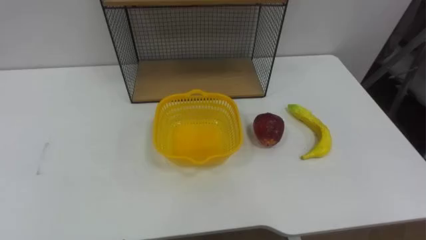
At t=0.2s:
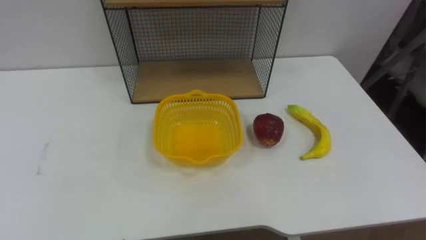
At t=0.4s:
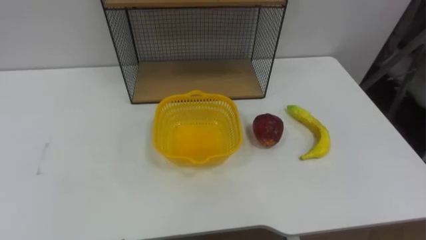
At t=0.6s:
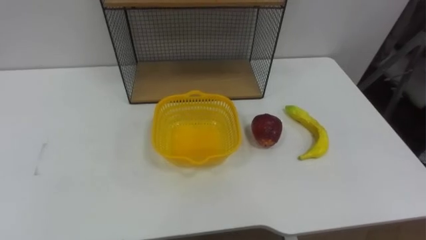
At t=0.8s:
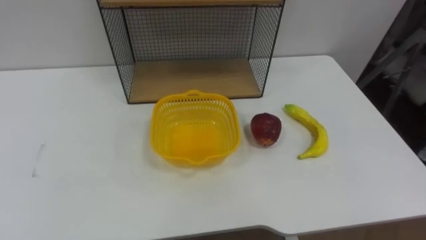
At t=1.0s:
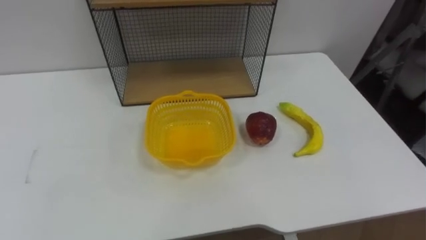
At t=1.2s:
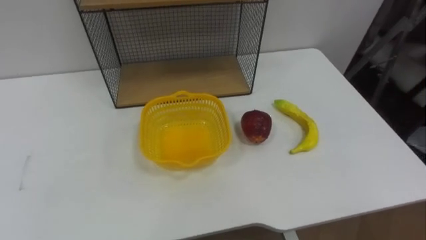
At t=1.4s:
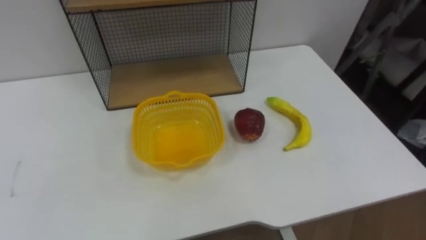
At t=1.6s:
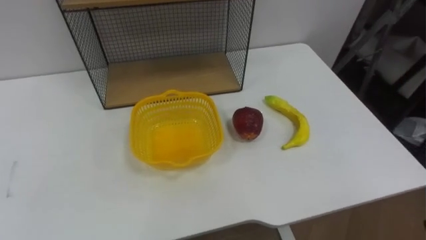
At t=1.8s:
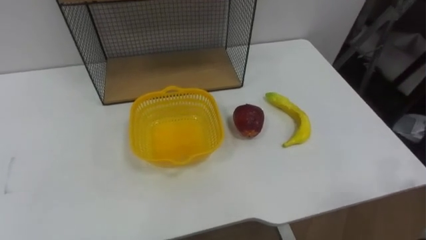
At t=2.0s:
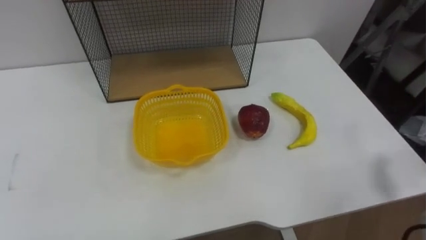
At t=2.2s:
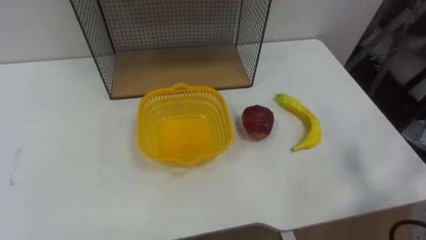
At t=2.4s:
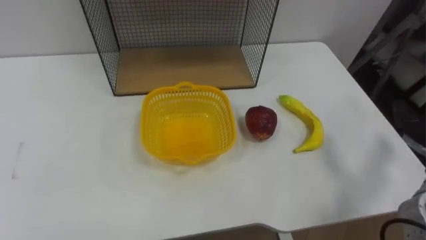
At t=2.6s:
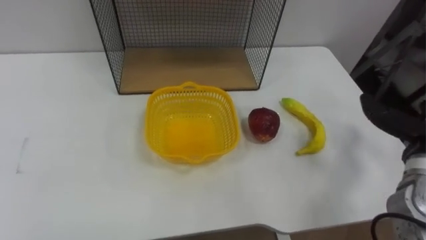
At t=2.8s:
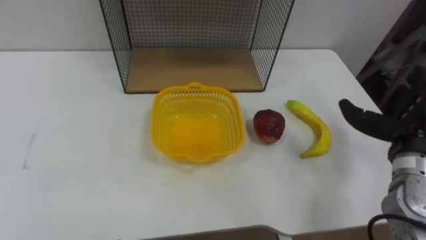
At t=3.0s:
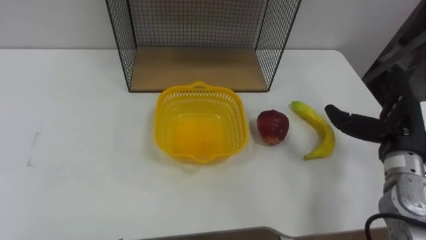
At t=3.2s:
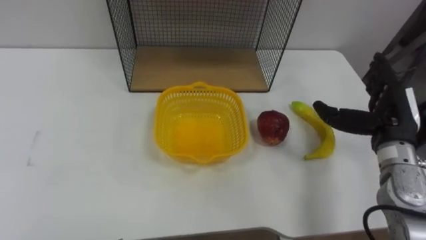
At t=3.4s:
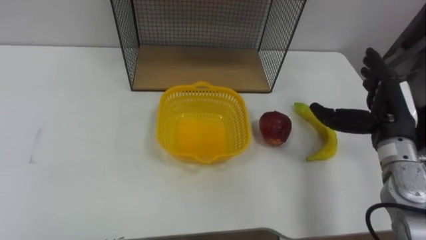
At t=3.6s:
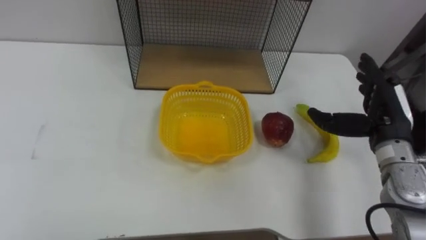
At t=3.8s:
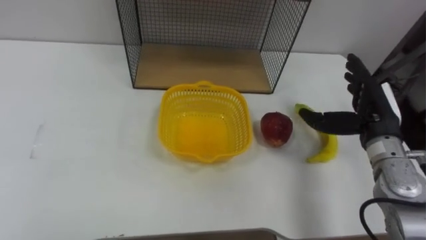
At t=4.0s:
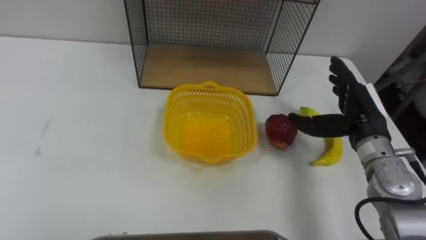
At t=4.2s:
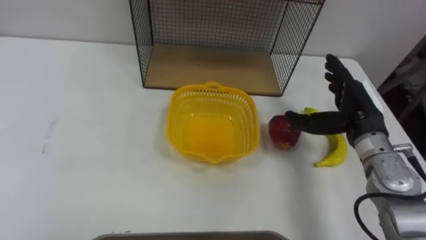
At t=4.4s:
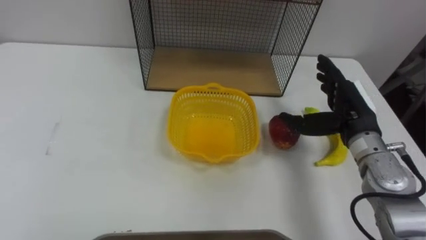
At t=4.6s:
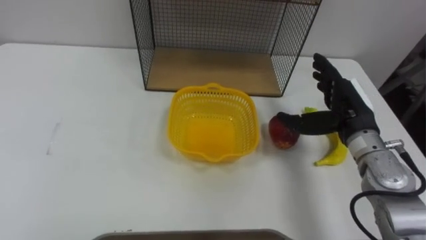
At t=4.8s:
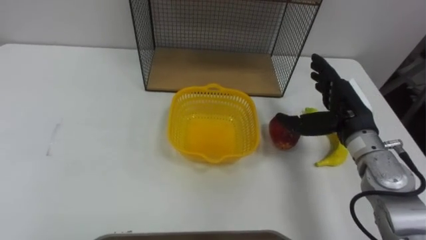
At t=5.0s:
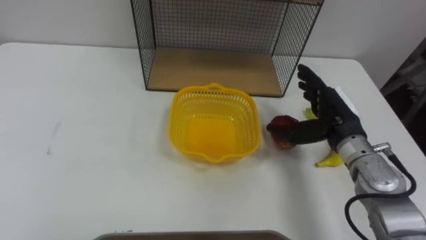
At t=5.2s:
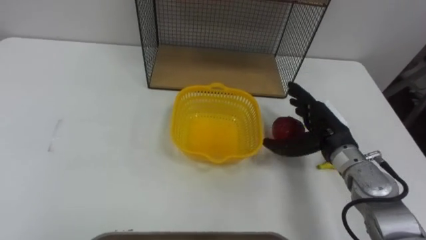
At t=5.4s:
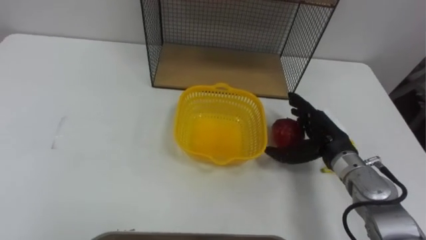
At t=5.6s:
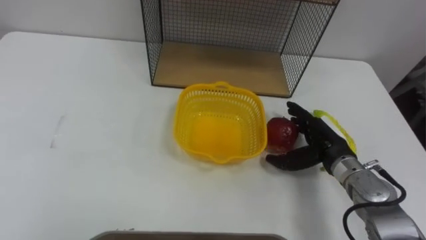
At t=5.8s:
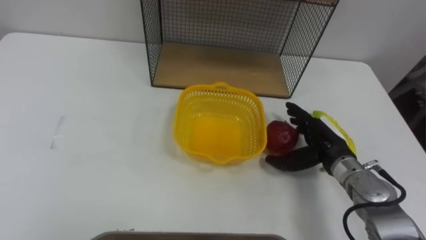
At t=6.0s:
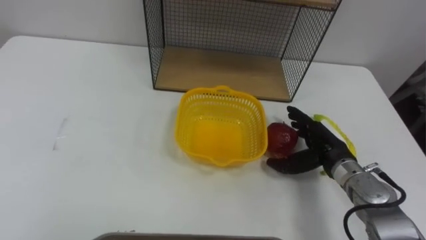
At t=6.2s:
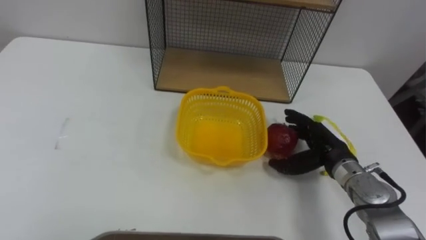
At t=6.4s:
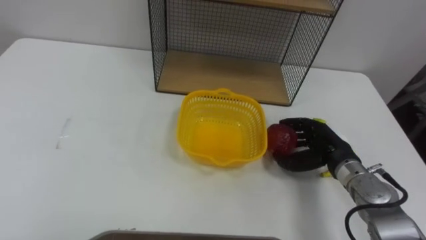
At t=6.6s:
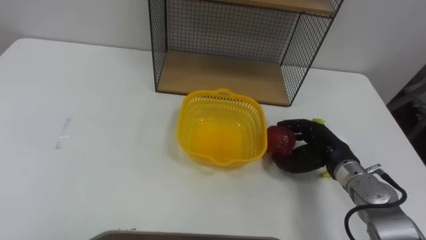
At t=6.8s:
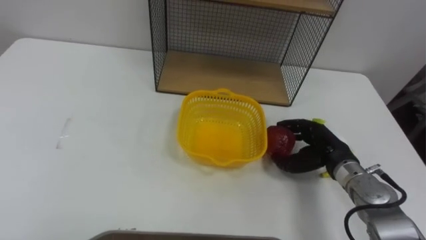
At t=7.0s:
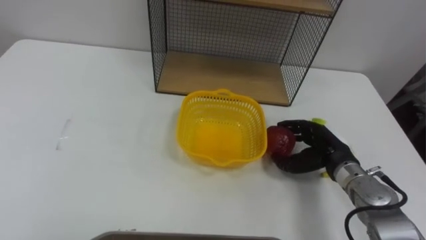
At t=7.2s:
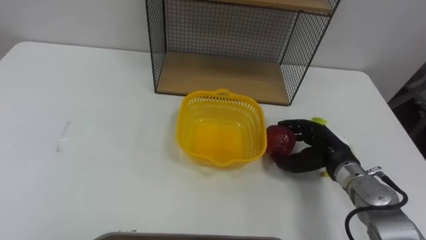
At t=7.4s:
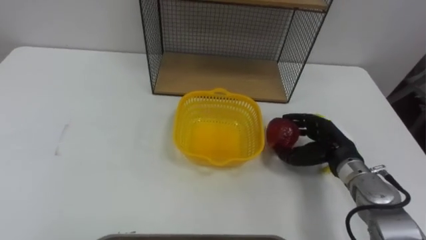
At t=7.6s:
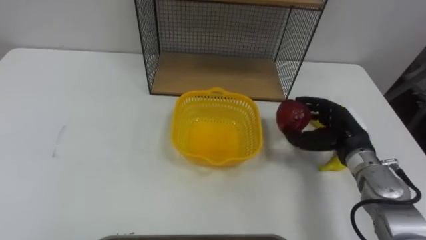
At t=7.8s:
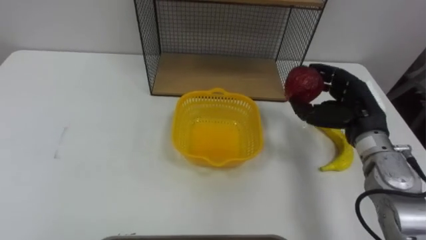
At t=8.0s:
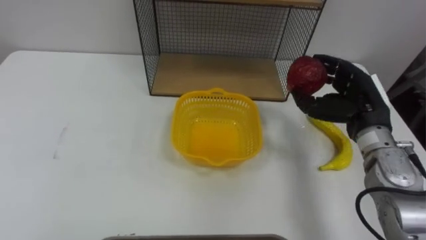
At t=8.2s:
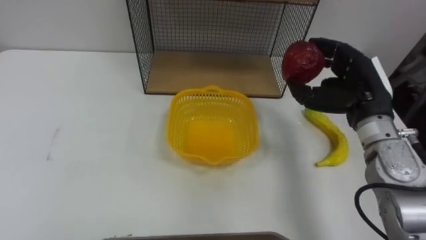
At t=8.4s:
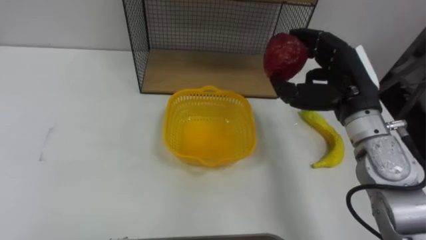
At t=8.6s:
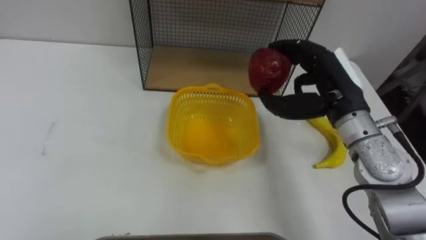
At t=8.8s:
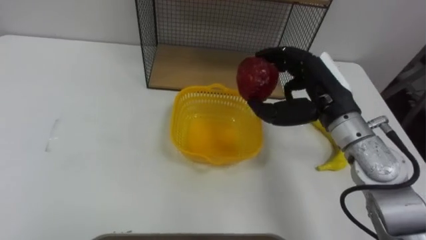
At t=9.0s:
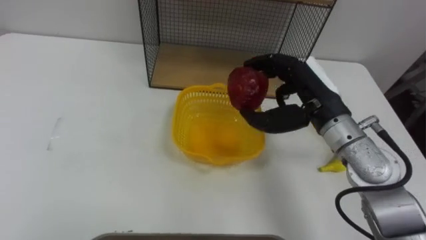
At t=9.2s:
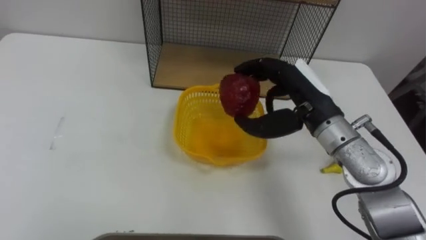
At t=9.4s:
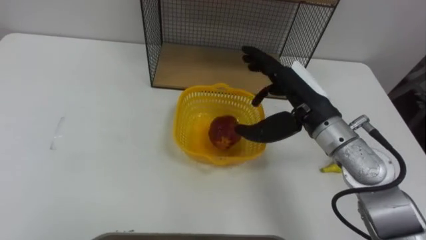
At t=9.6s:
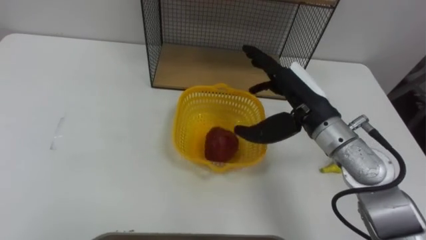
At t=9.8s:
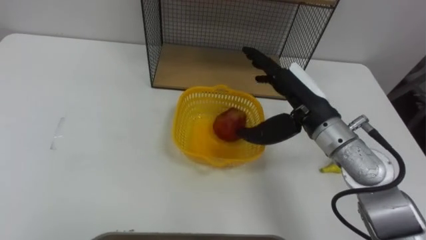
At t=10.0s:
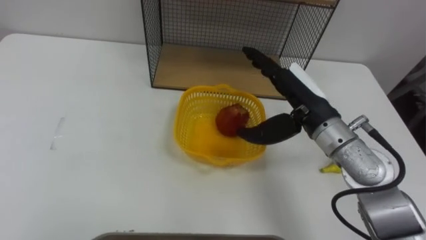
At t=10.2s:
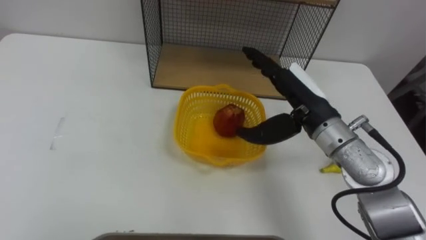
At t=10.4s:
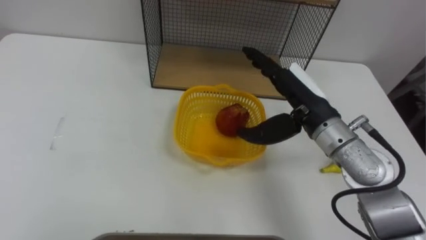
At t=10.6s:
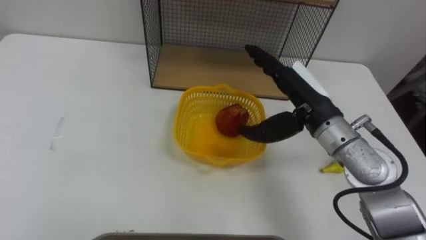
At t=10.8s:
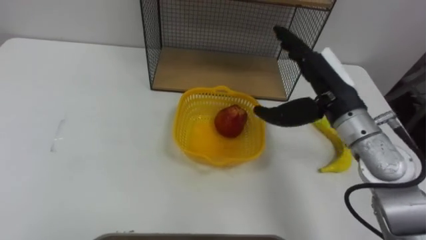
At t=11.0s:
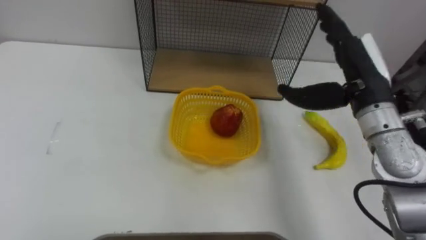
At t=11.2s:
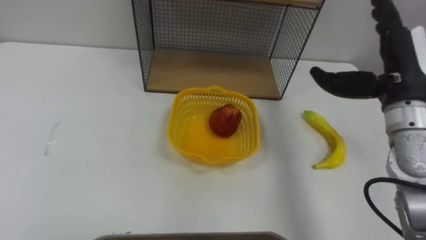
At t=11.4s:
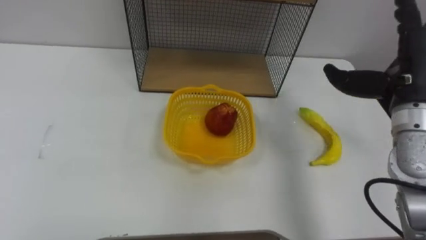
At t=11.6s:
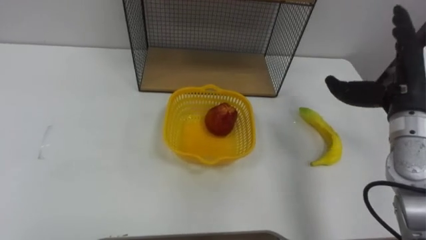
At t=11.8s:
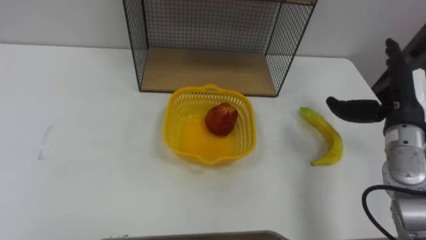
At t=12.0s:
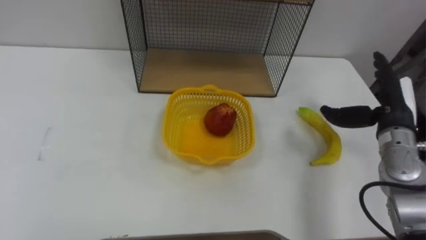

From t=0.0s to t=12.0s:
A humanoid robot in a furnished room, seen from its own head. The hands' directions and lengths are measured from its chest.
Task of the whole recording: Put the fruit on the table into the basket, then place the basket on the shelf.
From t=3.0s to t=4.4s: The right hand heads to the left, covering roughly 5 cm.
From t=4.4s to t=6.0s: The right hand is displaced downward by approximately 10 cm.
From t=6.0s to t=7.6s: The right hand closes up.
From t=7.6s to t=9.0s: The right hand goes approximately 15 cm upward and to the left.
From t=9.0s to t=10.4s: The right hand opens up.
From t=10.4s to t=12.0s: The right hand shifts some 15 cm to the right.

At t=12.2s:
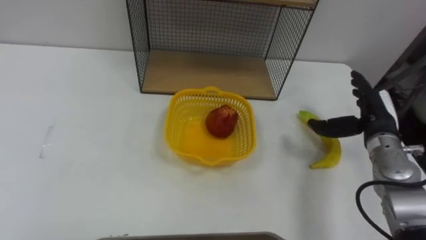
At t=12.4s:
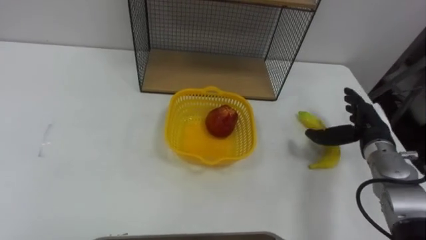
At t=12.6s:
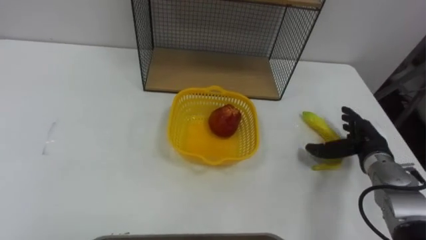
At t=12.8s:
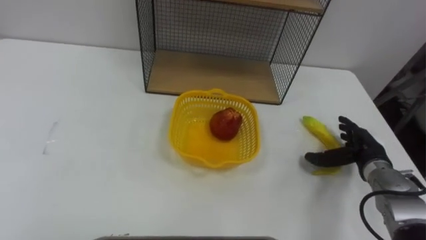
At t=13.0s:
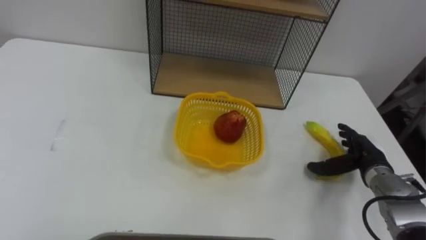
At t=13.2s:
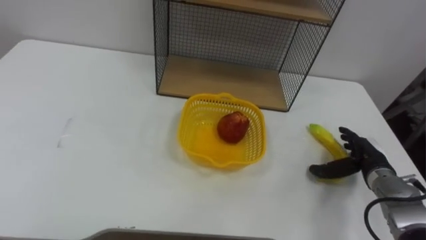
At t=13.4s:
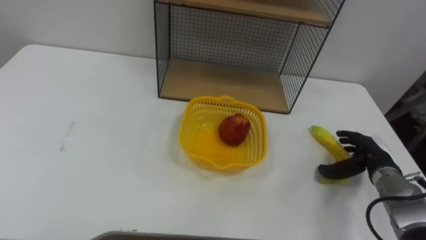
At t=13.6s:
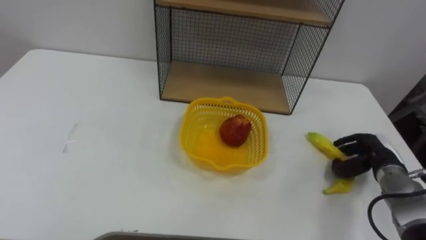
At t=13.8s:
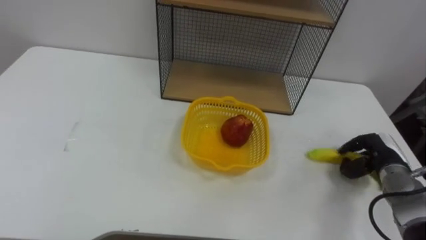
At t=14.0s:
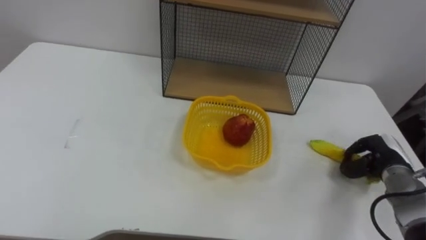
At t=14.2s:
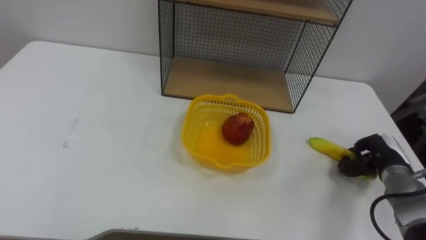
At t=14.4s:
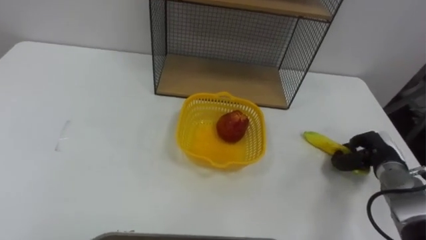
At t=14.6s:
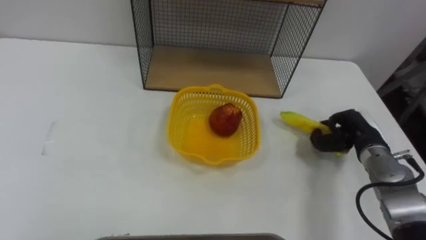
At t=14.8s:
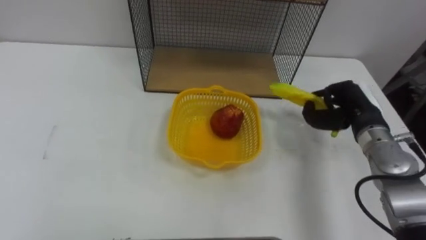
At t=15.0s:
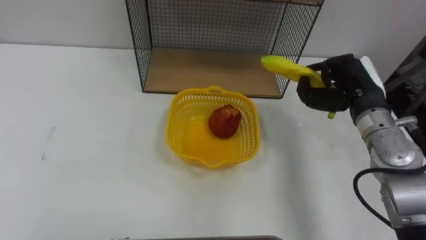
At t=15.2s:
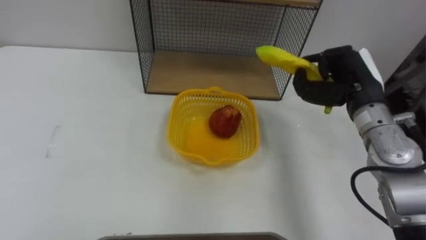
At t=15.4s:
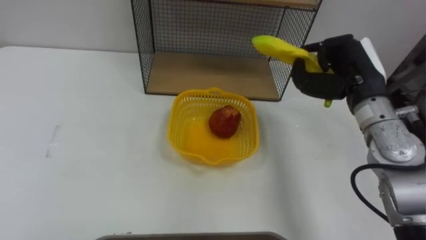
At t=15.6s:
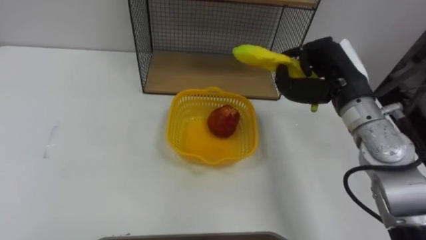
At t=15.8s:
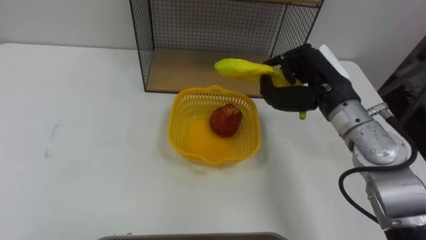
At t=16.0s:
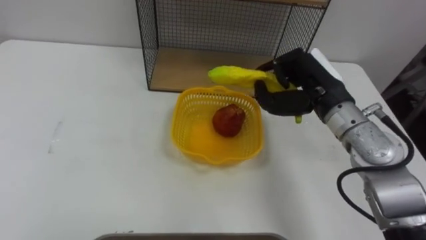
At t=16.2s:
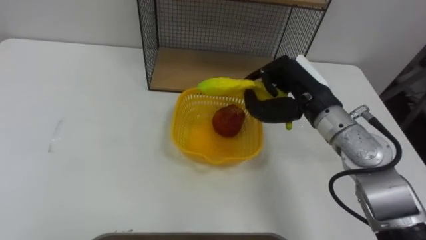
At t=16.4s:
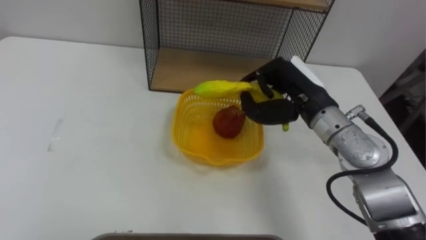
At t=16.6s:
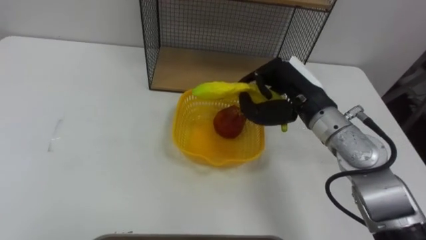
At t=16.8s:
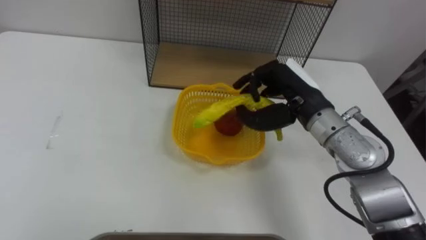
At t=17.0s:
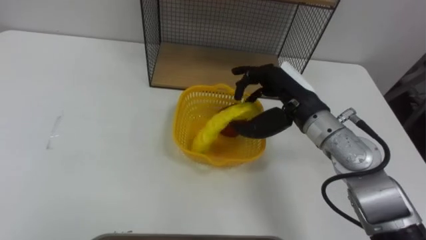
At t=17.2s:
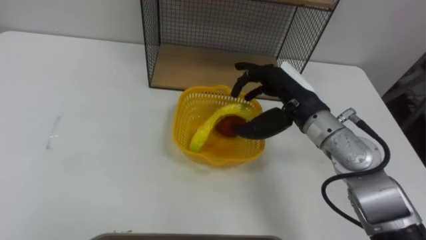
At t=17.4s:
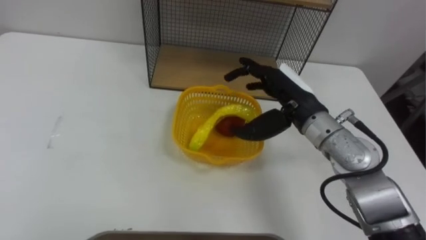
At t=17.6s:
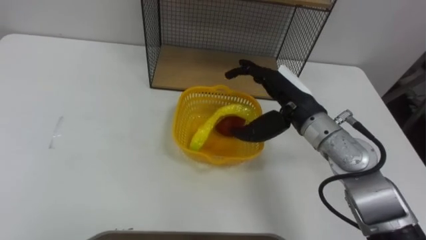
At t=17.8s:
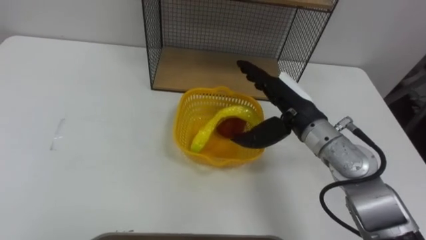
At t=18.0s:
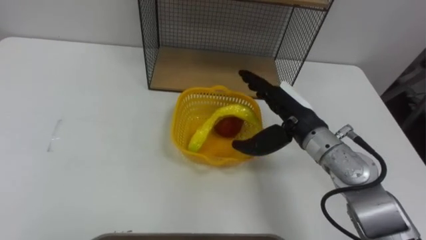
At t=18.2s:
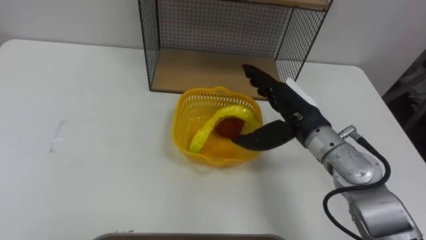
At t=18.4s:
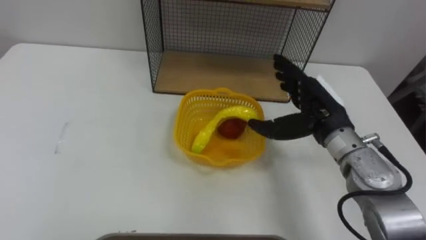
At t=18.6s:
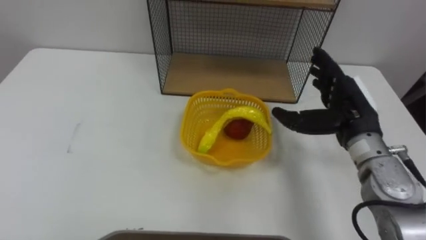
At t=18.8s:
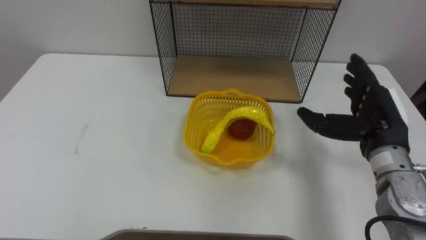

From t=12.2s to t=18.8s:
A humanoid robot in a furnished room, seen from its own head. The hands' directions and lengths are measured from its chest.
Task of the whole recording: Put the fruit on the table into the basket, then place the basket on the shelf.
From t=12.2s to t=13.8s: The right hand travels downward by some 10 cm, and closes.
From t=13.8s to t=15.4s: The right hand shifts approximately 20 cm upward and to the left.
From t=15.4s to t=17.2s: The right hand goes about 10 cm to the left, and opens up.
From t=17.2s to t=18.8s: The right hand travels to the right by roughly 15 cm.
